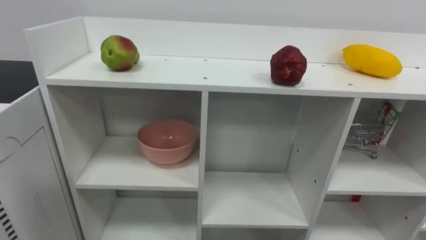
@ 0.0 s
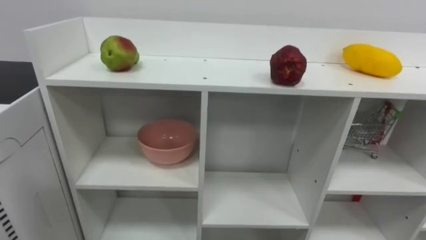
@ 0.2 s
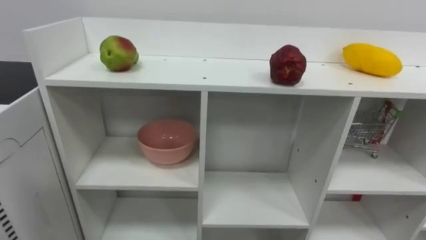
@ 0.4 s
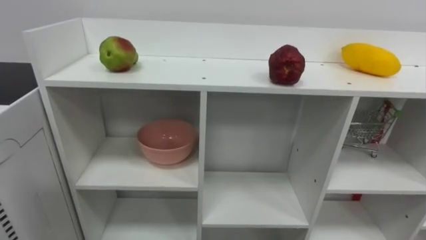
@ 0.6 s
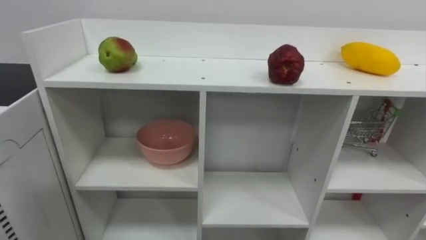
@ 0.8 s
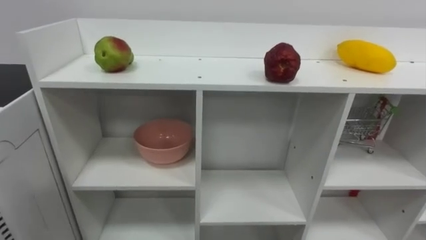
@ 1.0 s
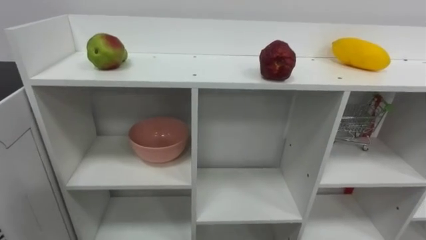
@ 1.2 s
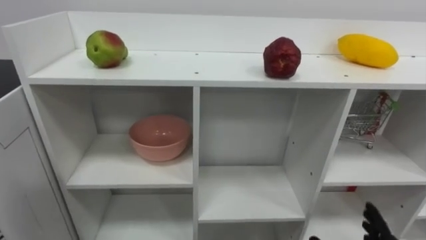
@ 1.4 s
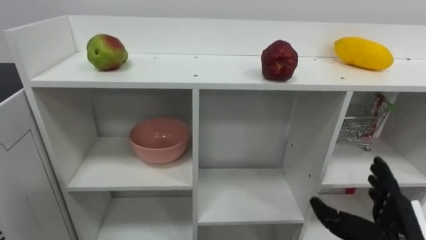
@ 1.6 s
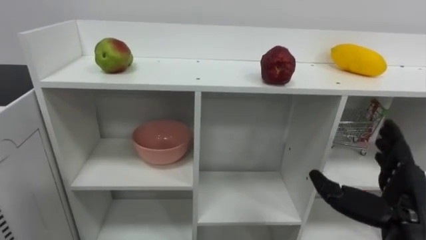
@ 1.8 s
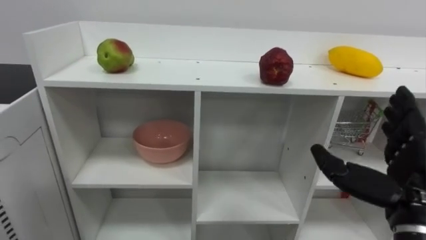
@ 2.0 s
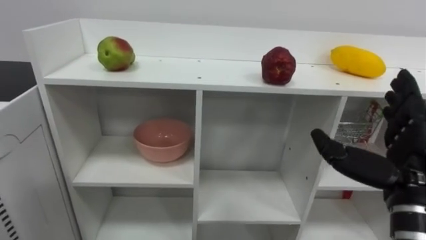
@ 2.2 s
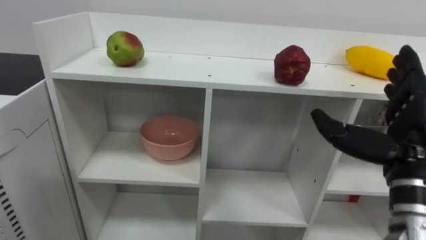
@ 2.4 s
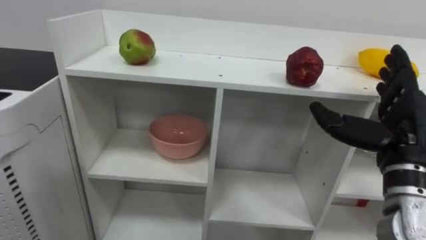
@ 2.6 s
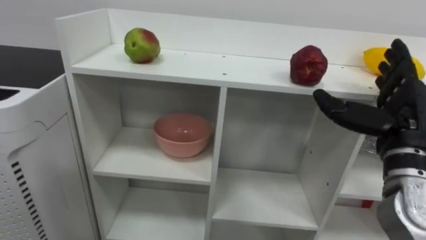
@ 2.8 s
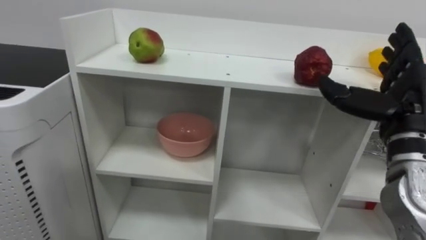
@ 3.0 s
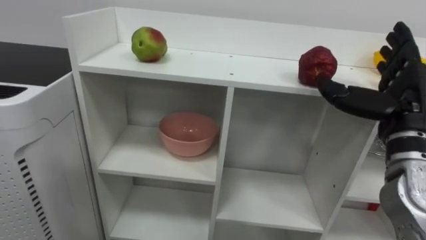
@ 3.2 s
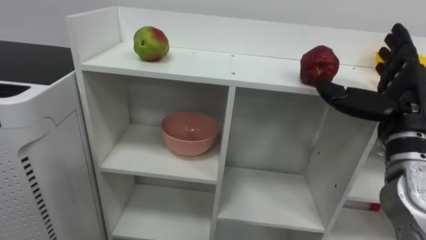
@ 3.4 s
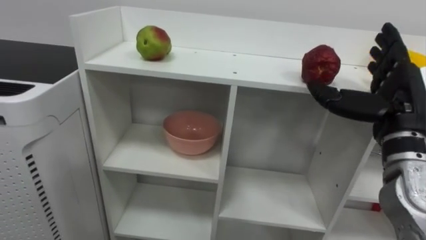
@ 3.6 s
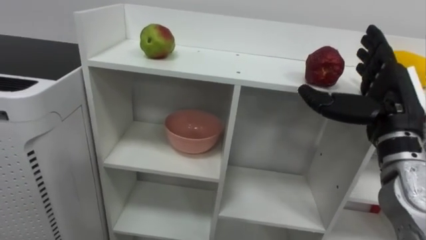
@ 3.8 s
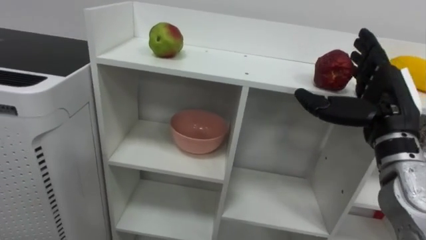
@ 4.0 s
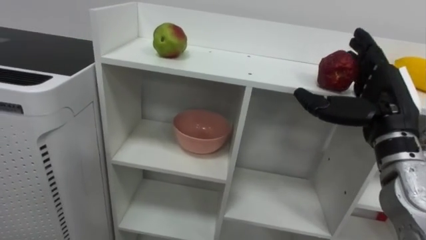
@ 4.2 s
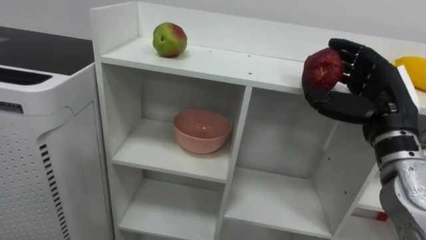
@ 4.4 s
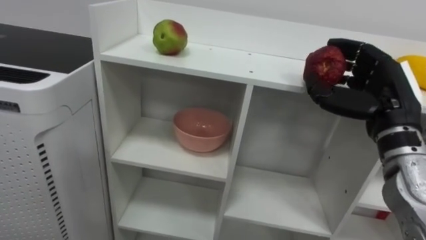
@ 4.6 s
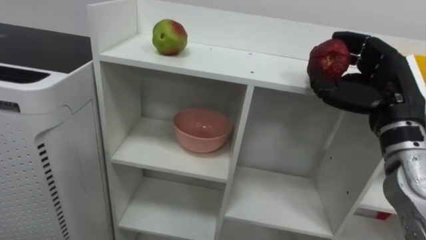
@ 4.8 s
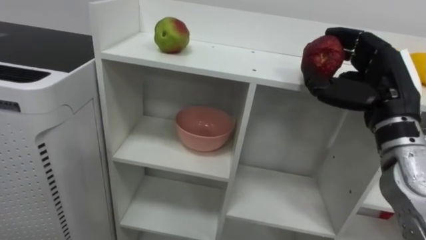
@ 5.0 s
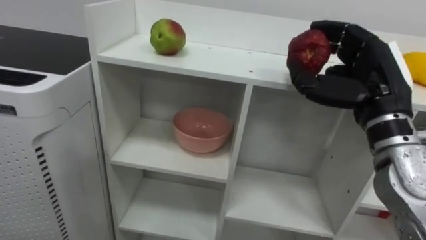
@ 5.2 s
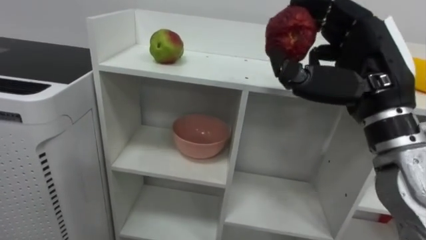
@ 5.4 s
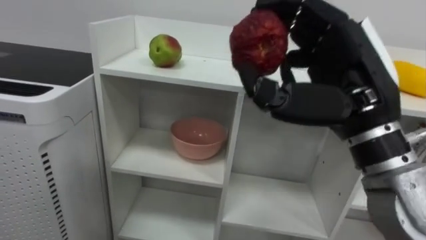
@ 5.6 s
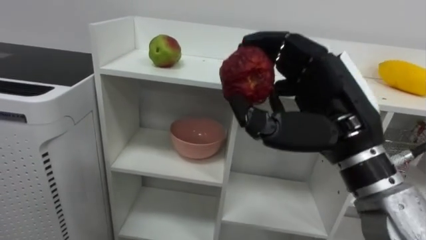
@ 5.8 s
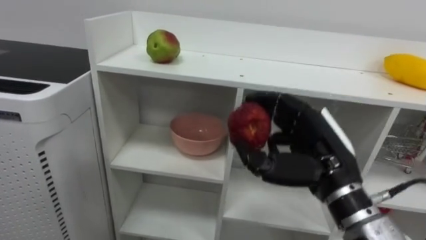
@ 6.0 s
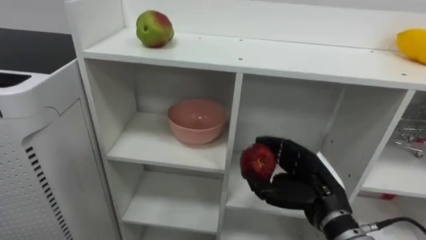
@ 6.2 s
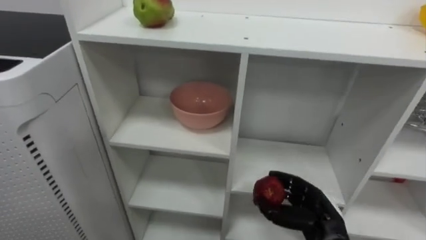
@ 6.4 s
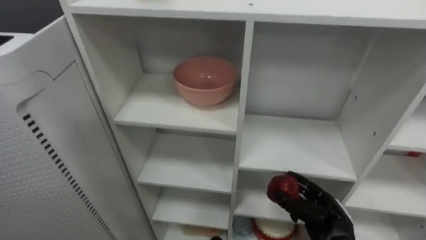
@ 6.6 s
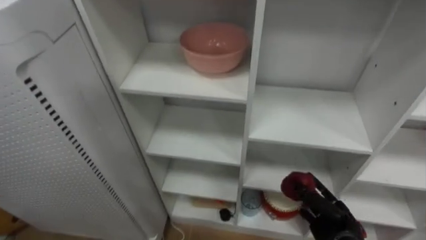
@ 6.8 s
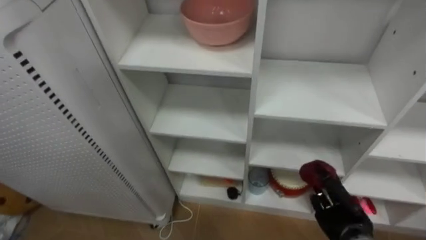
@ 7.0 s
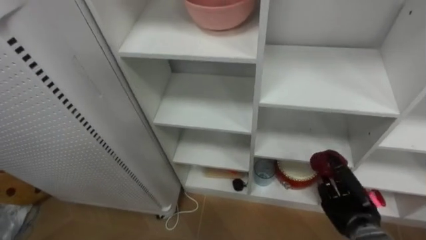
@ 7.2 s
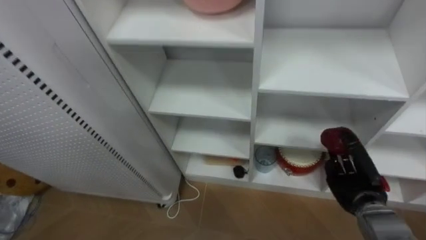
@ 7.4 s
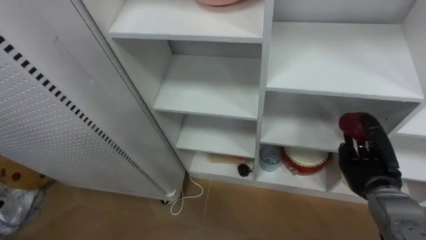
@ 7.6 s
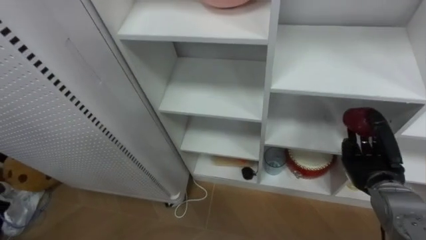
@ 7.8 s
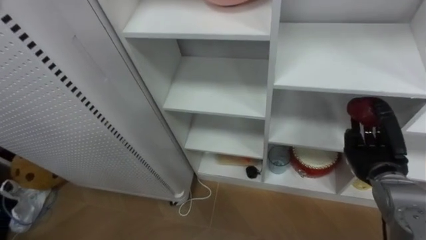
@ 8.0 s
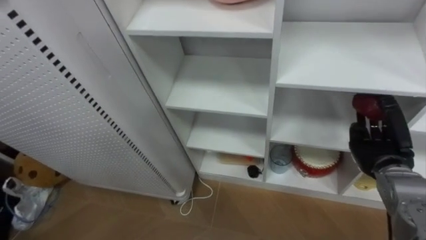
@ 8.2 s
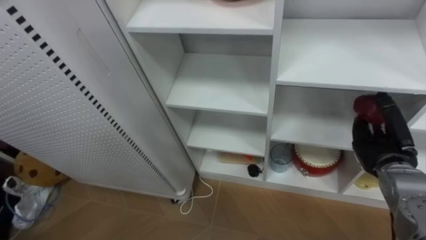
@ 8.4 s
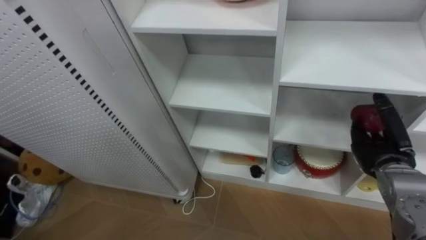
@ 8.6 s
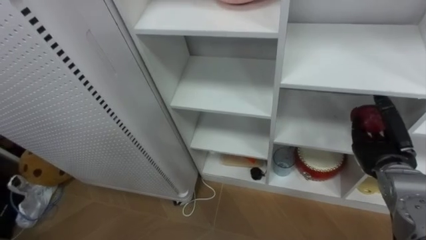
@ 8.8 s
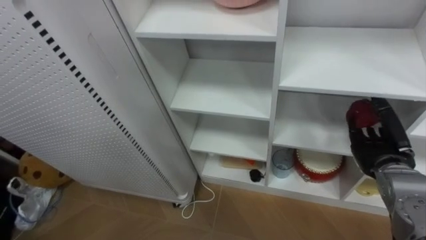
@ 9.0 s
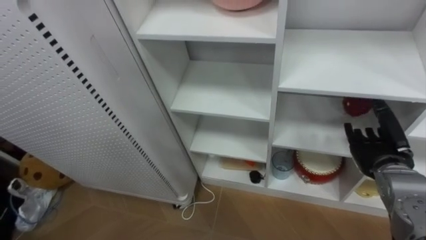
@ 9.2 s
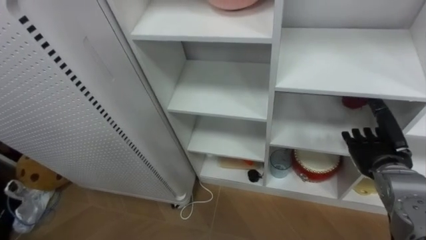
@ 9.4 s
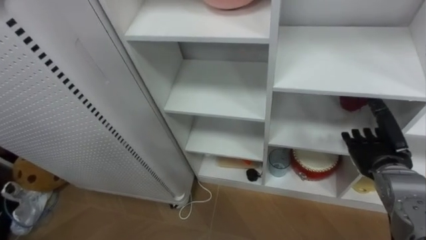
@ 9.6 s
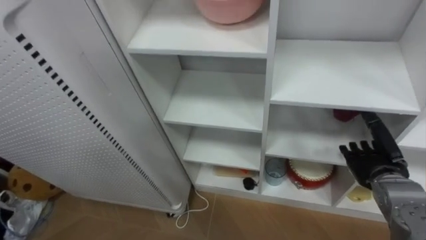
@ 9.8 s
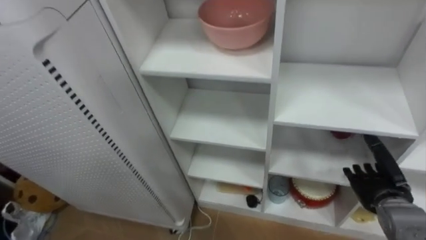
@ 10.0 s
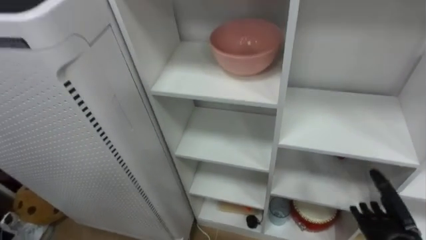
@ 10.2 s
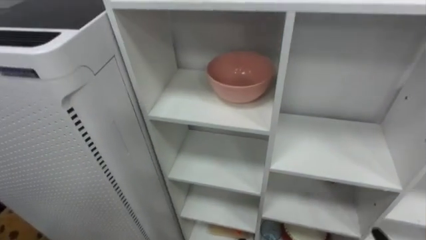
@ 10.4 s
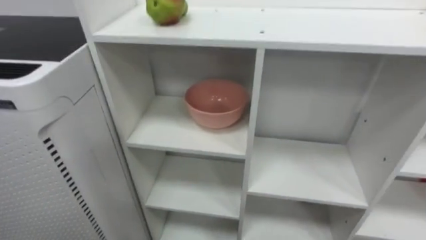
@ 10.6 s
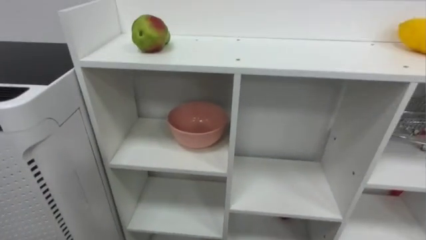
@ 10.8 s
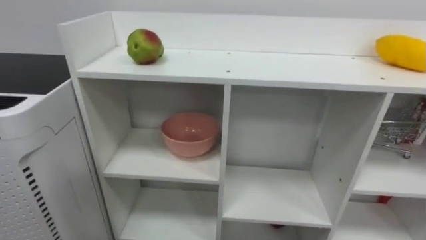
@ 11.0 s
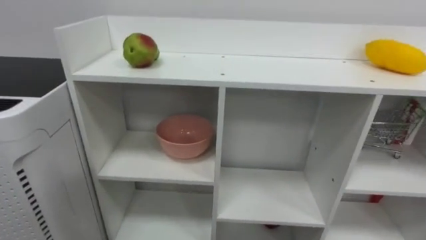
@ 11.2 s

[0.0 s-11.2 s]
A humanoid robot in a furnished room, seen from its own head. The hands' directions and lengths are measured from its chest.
Task of the whole recording: Put the apple in the cell in the second column from the left and the second row from the top.
3.2 to 4.8 s: The right hand closes up.
4.8 to 6.4 s: The right hand travels downward by roughly 20 cm.
6.4 to 8.0 s: The right hand travels to the right, forward and upward by approximately 15 cm.
8.0 to 9.6 s: The right hand opens up.

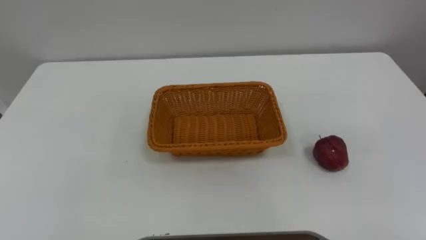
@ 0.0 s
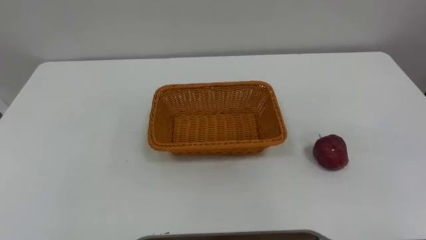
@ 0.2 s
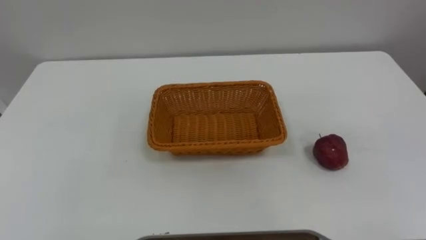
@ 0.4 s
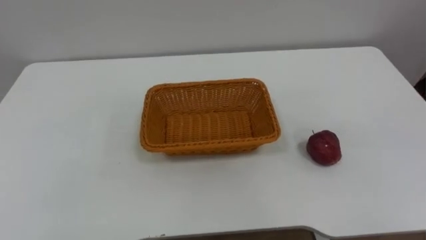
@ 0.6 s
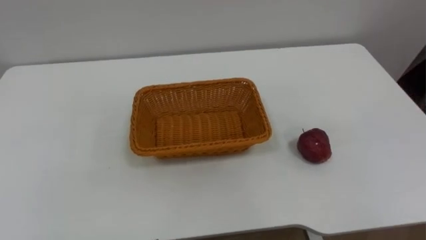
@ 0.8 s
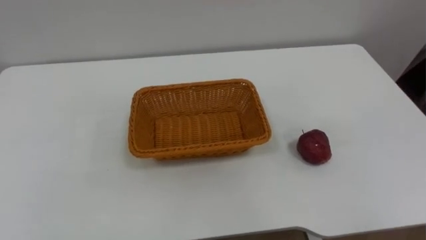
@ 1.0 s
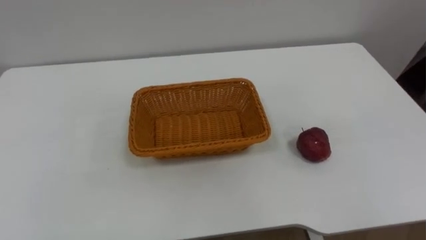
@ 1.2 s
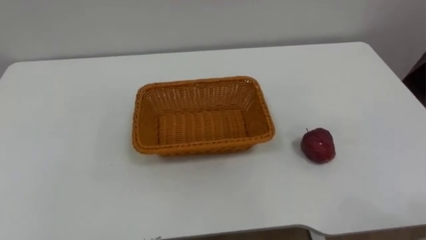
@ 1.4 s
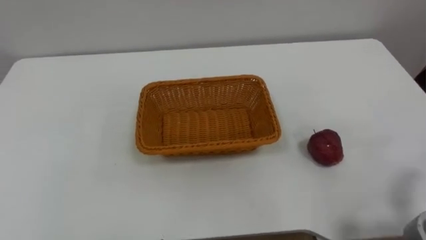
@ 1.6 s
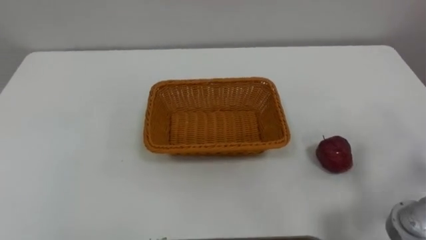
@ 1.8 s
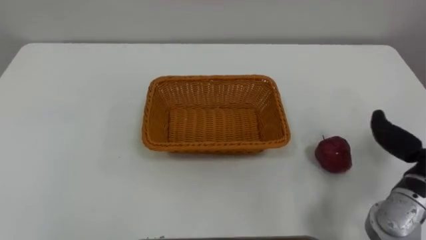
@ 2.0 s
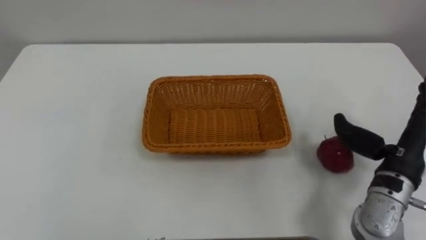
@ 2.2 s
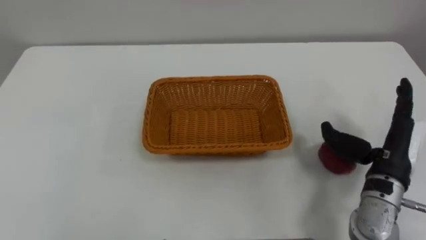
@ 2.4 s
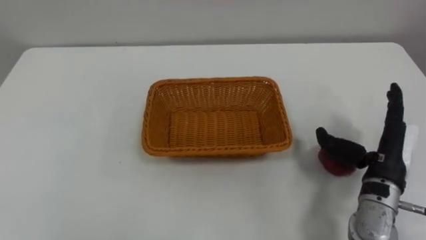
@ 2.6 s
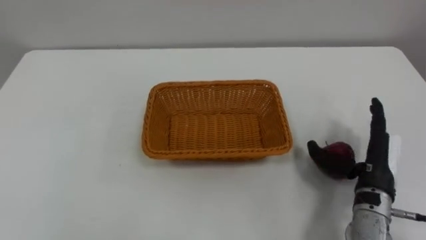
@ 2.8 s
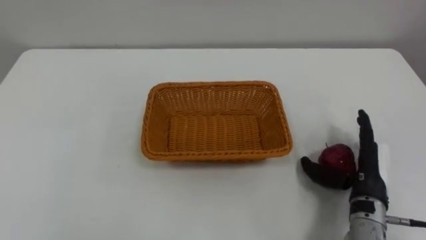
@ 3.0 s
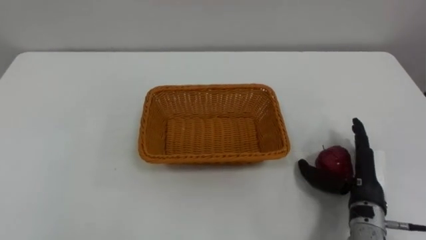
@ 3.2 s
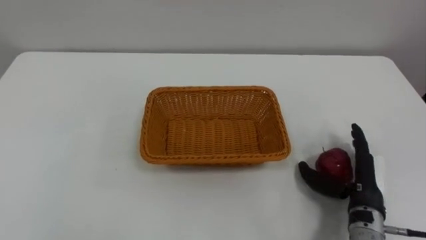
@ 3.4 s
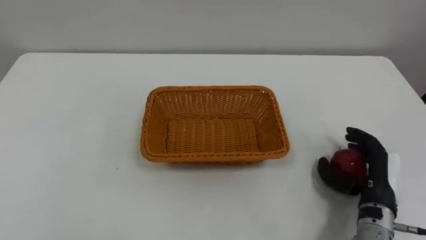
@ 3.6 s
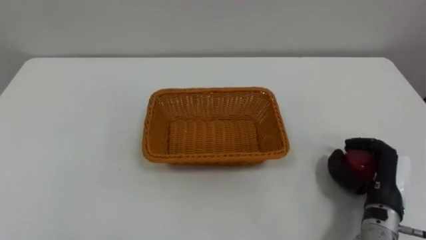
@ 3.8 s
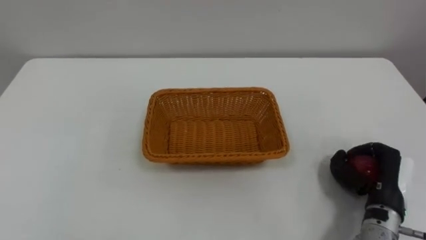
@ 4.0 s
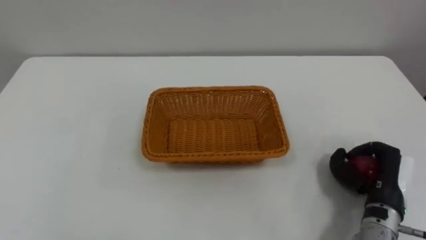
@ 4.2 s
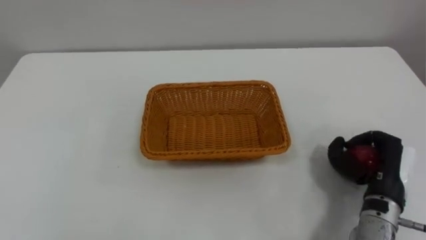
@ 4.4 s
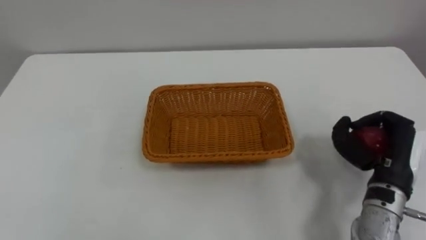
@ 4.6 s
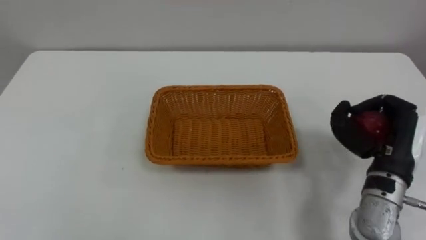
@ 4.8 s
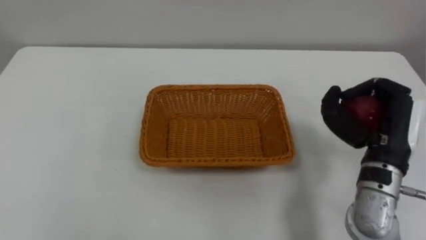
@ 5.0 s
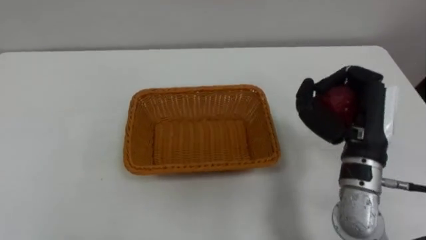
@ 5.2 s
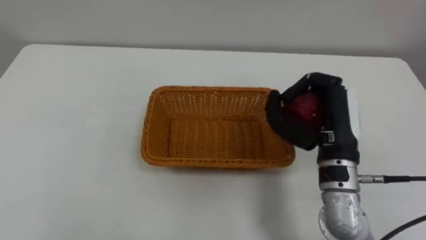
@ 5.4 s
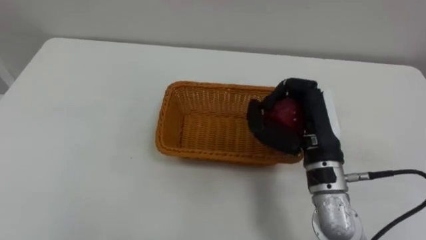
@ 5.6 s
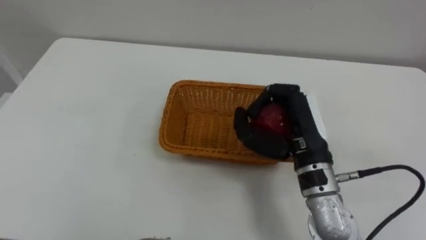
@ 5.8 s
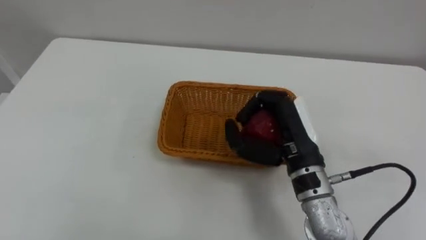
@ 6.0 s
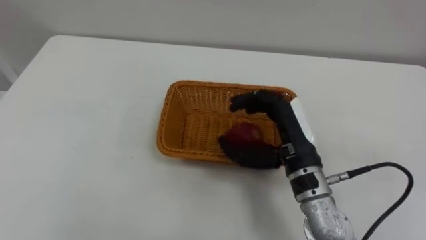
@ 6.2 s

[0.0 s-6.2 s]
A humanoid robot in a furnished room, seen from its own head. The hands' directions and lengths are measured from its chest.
Task of the whole recording: Pick the apple and place it in the box.
3.2 to 4.6 s: The right hand goes approximately 5 cm upward, and closes its fingers.
4.6 to 6.2 s: The right hand travels to the left by about 15 cm.
